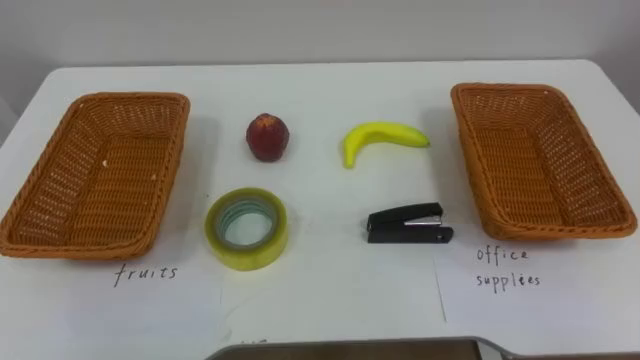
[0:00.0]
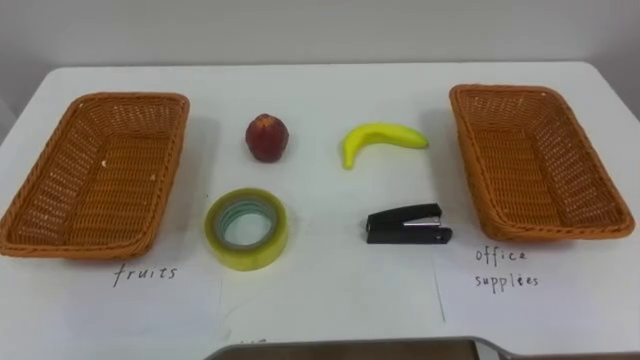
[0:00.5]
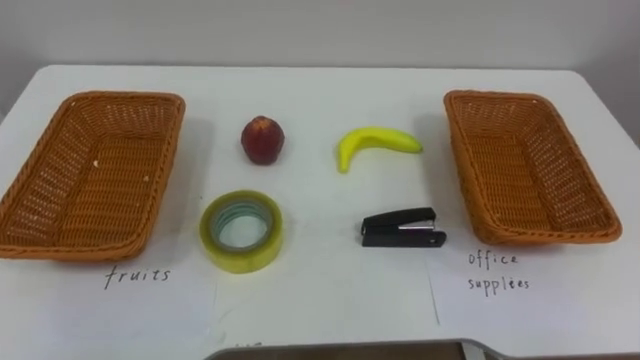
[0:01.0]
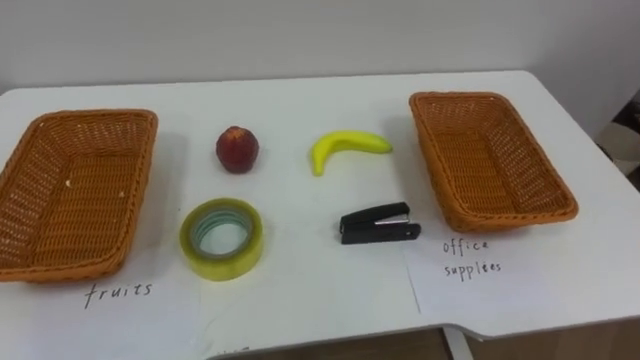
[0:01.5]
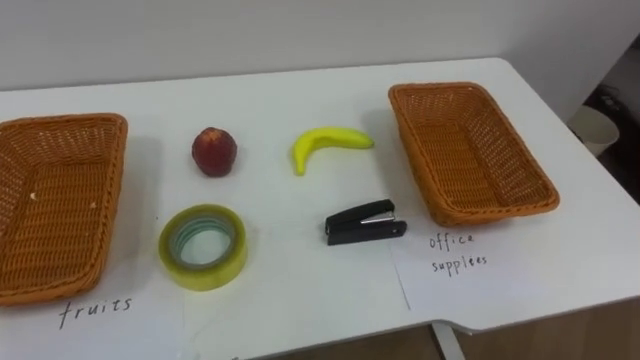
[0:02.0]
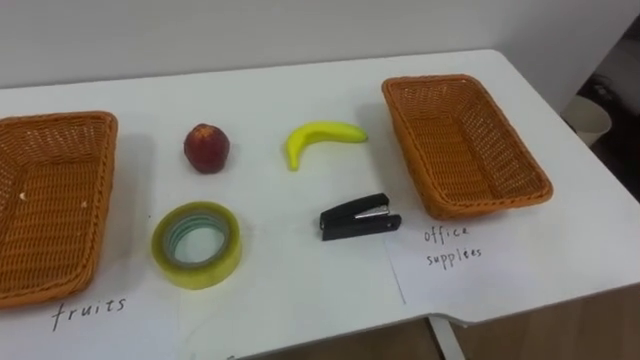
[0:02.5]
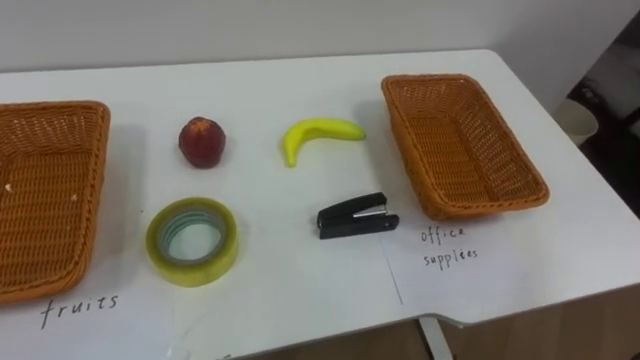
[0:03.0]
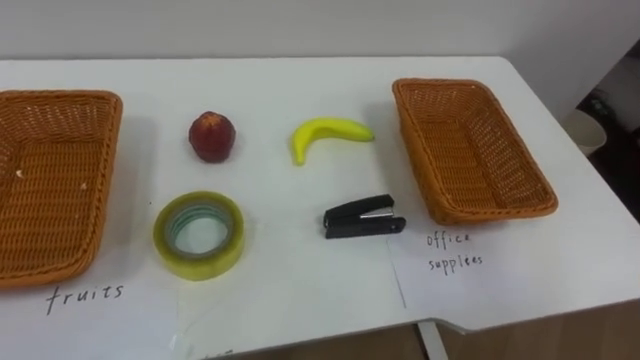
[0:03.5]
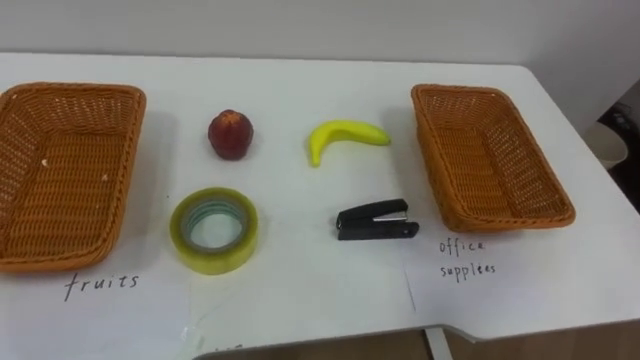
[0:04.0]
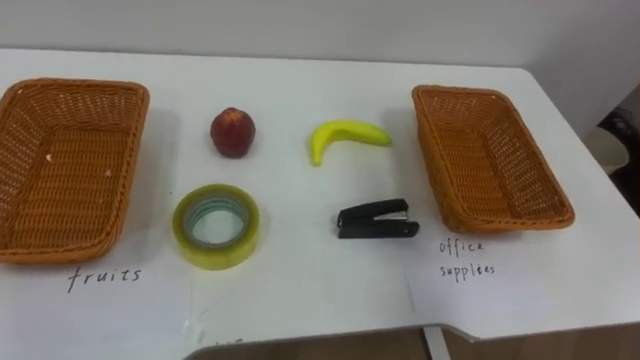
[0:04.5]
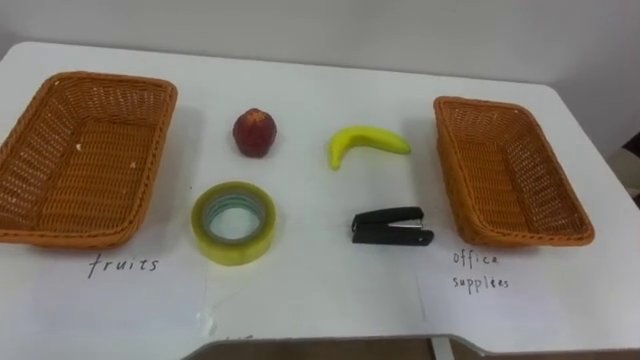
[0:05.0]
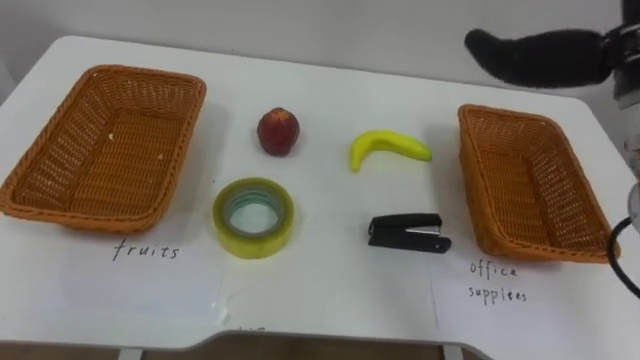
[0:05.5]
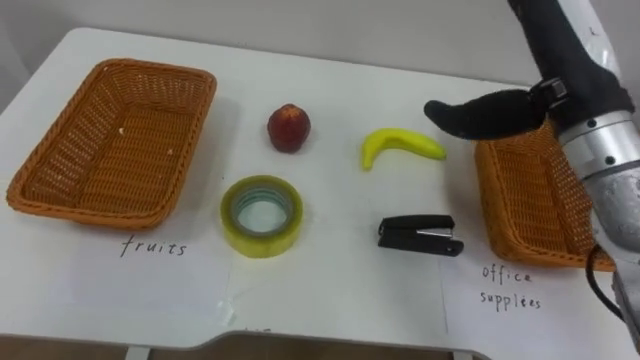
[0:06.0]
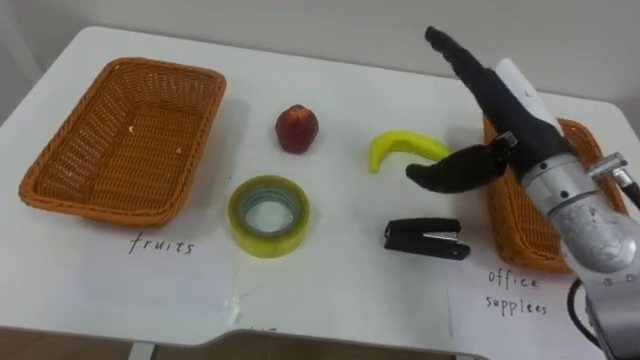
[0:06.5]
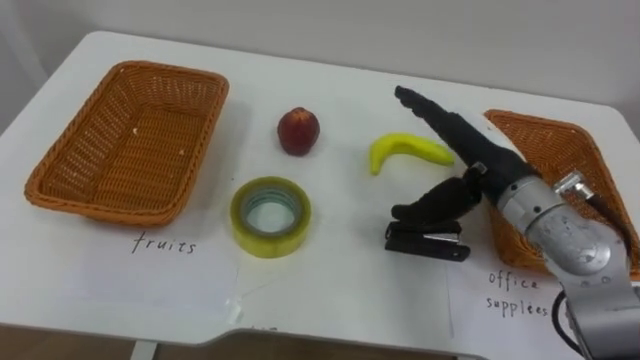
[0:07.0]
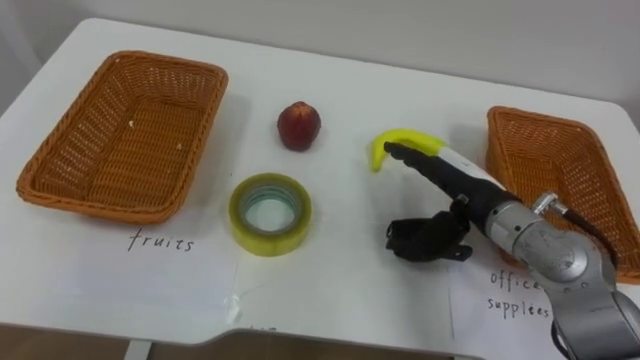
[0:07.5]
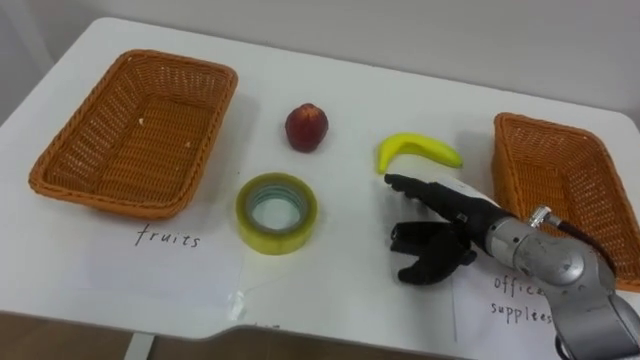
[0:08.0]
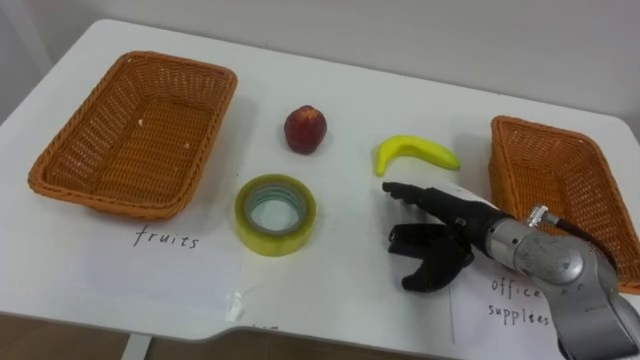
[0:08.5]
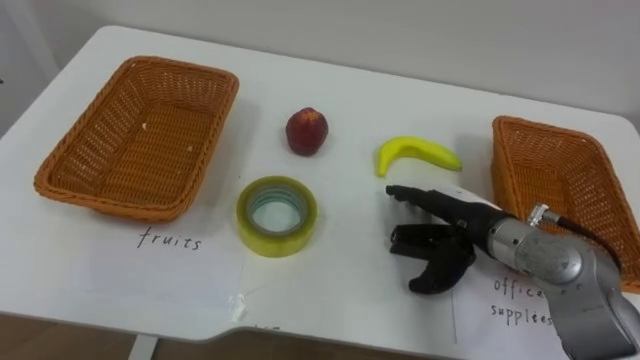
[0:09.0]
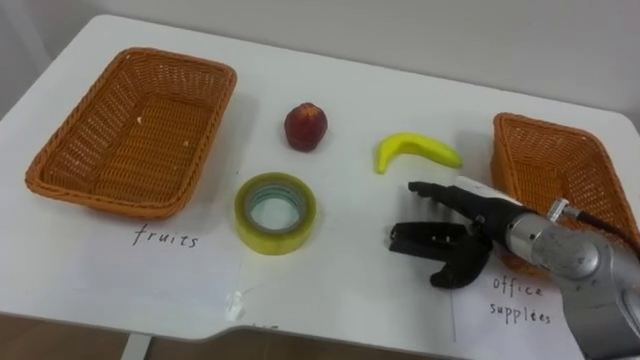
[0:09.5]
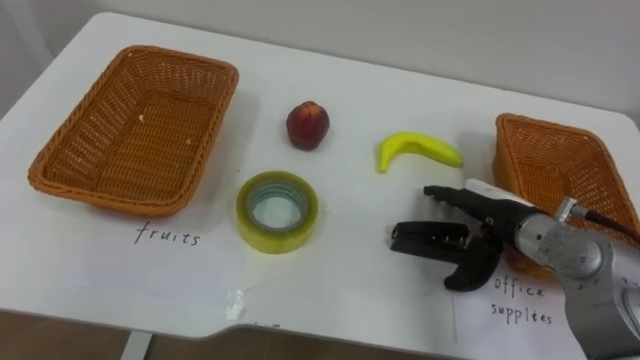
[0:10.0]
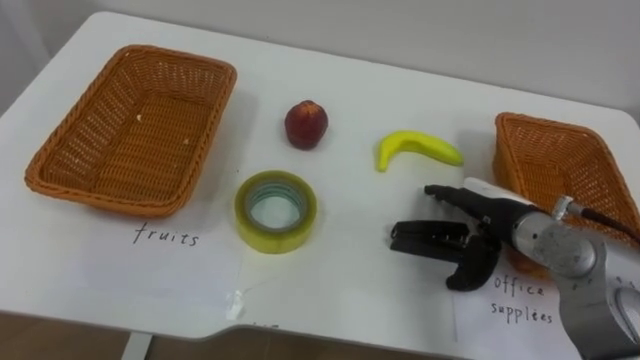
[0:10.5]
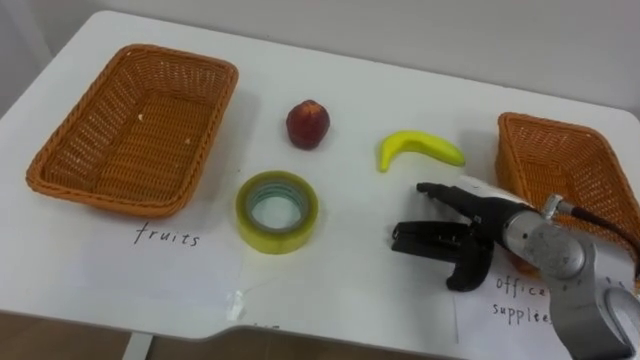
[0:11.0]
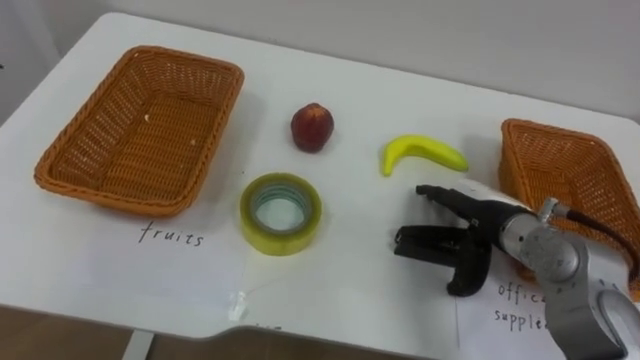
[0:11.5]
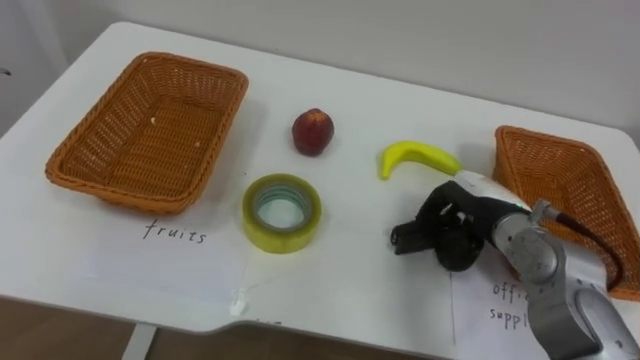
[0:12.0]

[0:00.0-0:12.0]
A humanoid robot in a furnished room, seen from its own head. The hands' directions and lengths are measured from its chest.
Task of the whole recording: Separate the items on the table and place them into the two baskets.
0:06.0 to 0:08.0: The right hand heads downward, covering some 20 cm.
0:10.0 to 0:12.0: The right hand closes up.

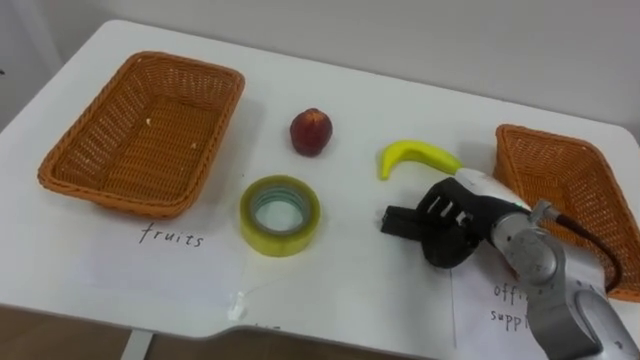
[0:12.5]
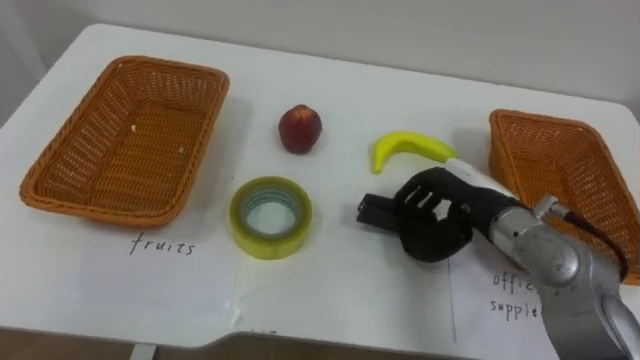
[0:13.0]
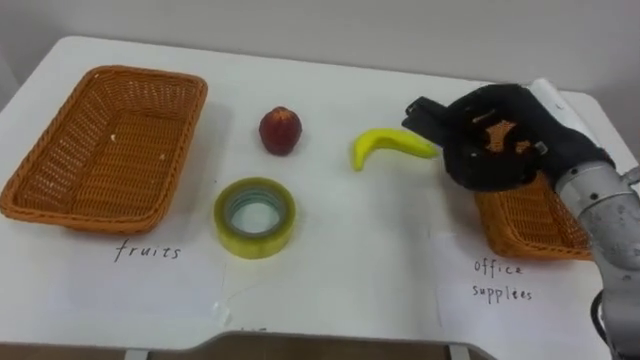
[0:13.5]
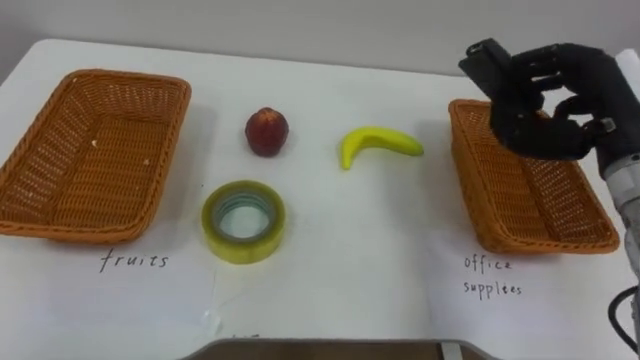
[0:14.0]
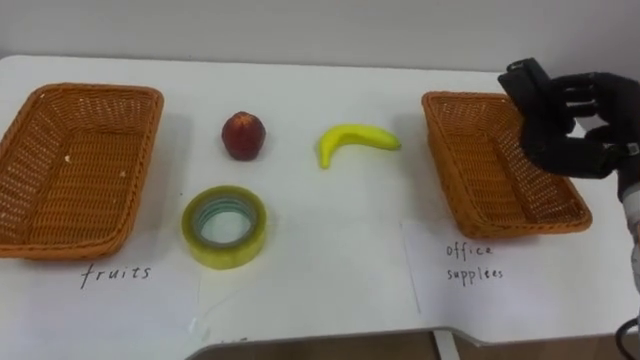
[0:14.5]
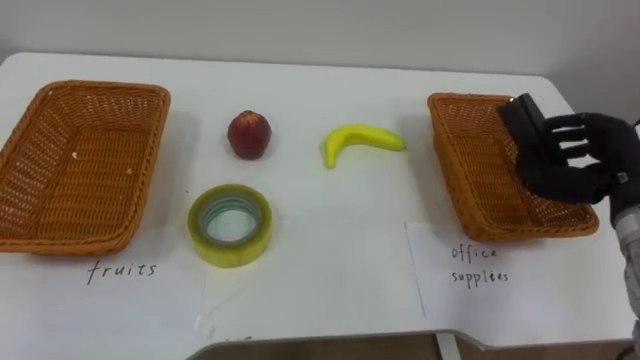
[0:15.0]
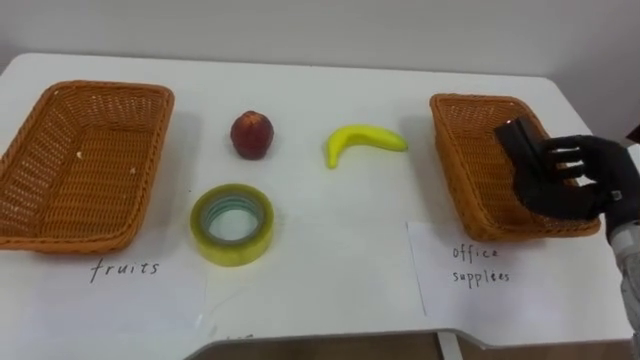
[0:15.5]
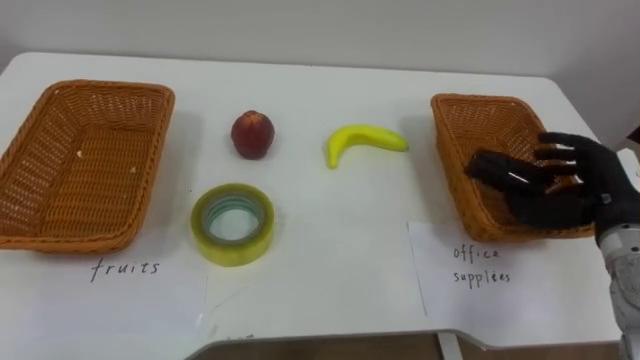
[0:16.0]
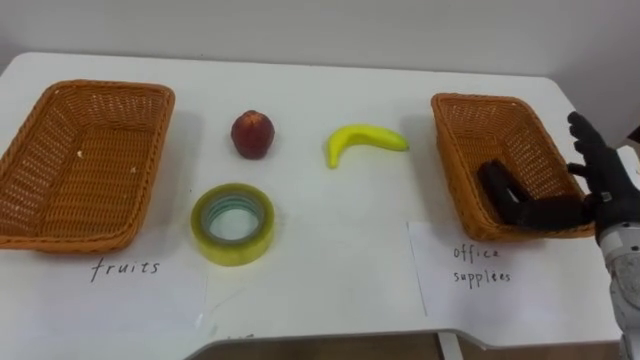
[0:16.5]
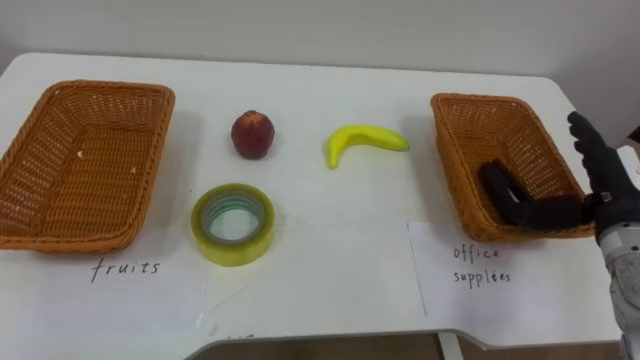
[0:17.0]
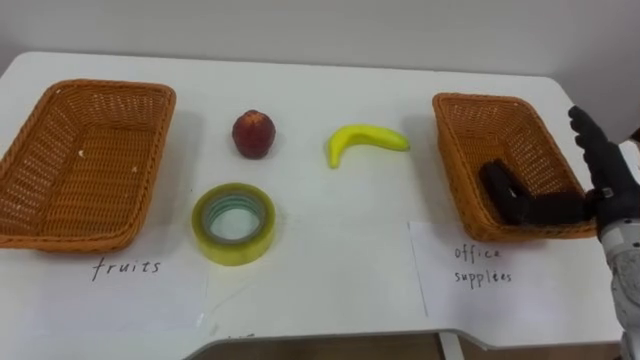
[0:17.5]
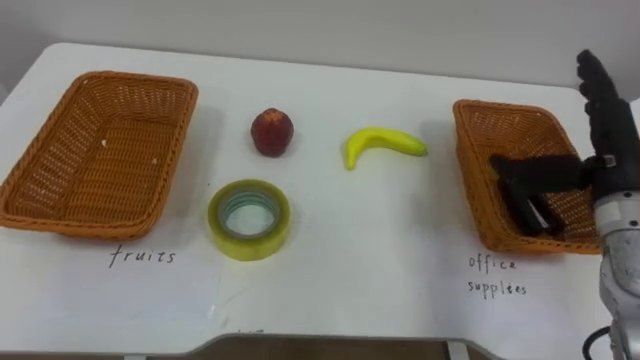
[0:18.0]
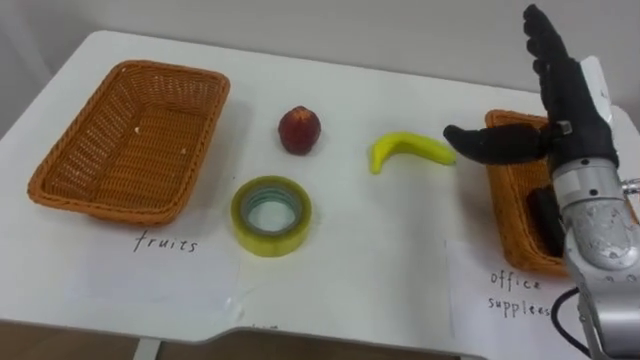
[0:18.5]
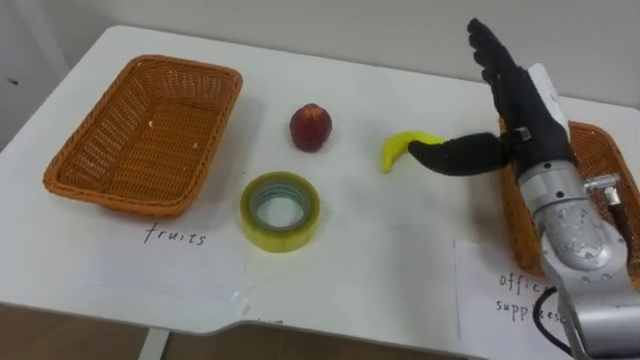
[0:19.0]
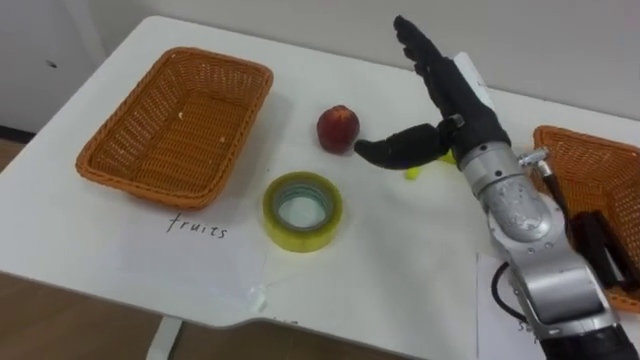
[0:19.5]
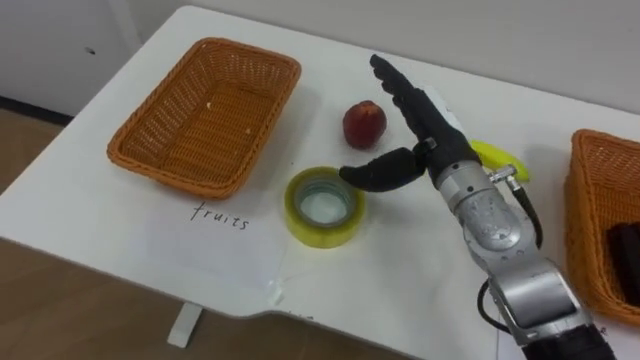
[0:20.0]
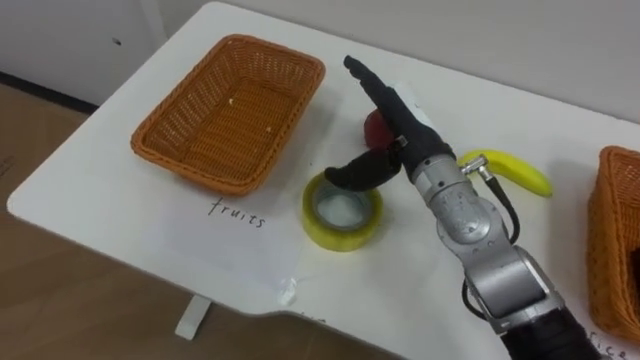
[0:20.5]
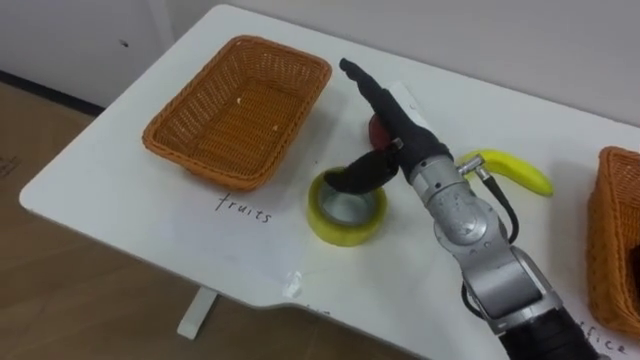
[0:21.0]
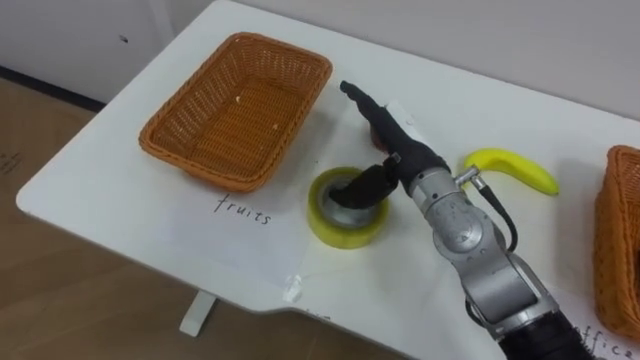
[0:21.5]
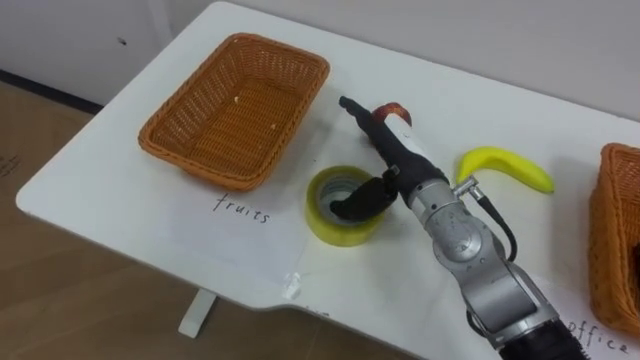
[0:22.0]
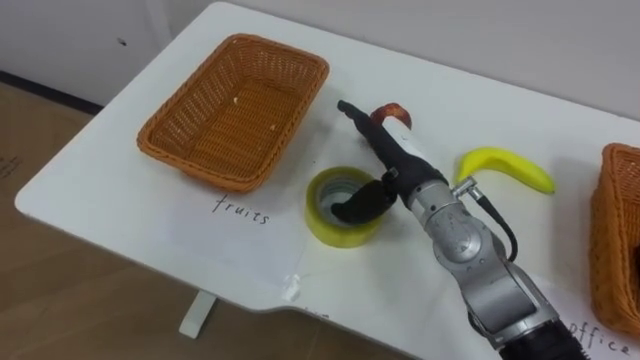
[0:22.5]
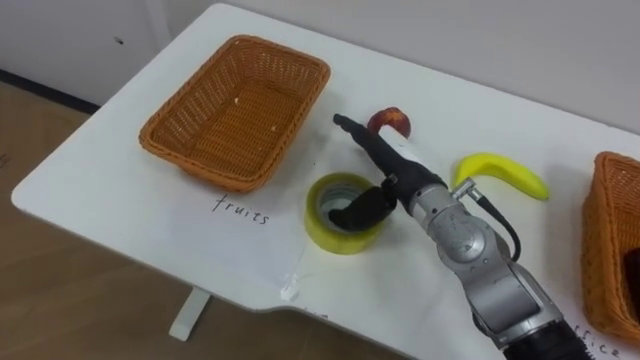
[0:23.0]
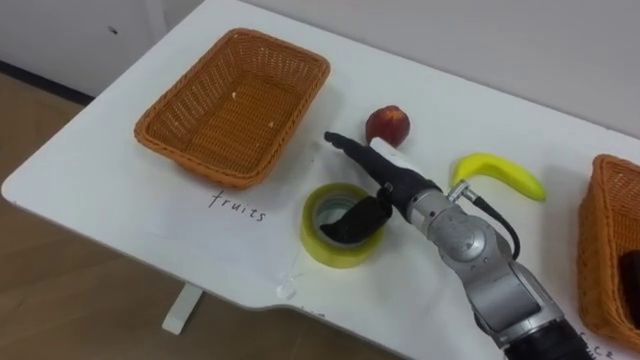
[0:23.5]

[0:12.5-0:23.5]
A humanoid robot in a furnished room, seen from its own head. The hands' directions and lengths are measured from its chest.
Task of the whole recording: Separate the items on the table and place them into the two baskets.
0:12.5 to 0:14.5: The right hand shifts roughly 15 cm upward and to the right.
0:14.5 to 0:16.0: The right hand is displaced downward by some 10 cm.
0:16.0 to 0:18.0: The right hand goes roughly 5 cm upward, and opens its fingers.
0:18.0 to 0:20.0: The right hand moves to the left, about 20 cm.
